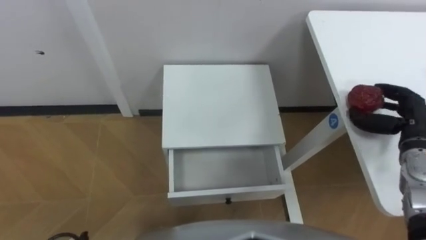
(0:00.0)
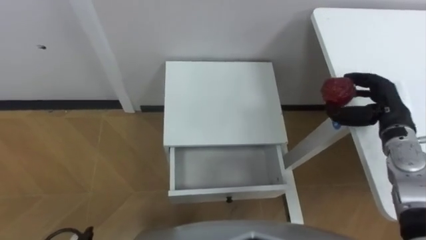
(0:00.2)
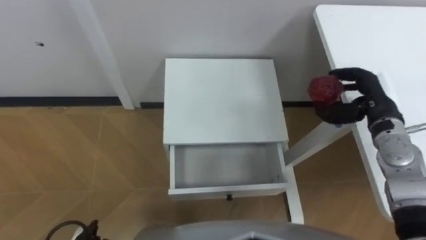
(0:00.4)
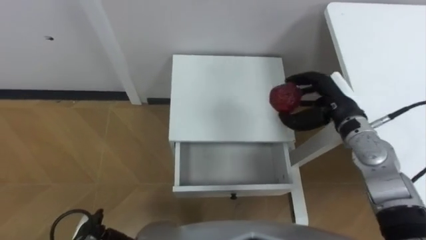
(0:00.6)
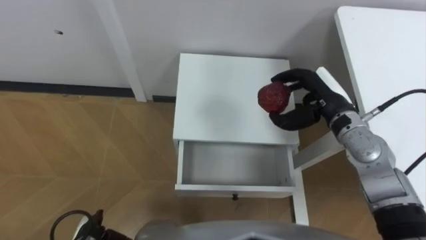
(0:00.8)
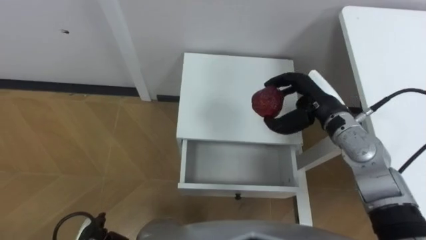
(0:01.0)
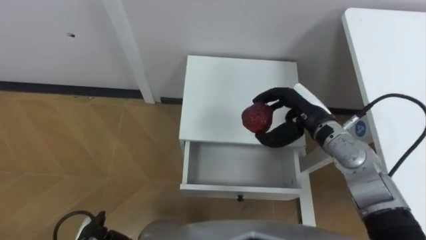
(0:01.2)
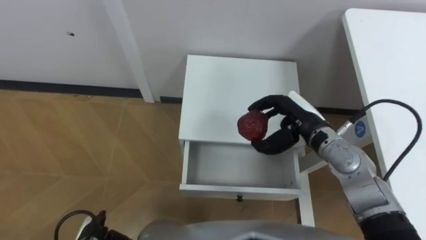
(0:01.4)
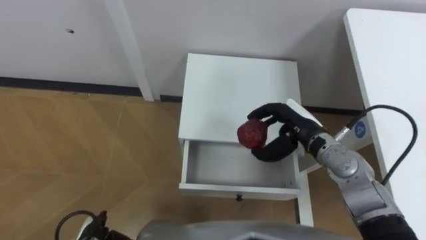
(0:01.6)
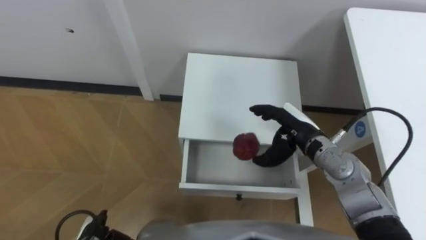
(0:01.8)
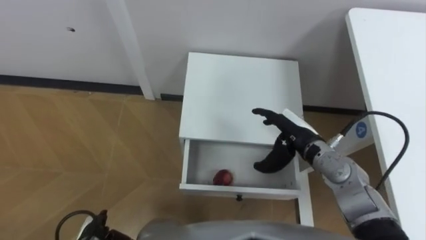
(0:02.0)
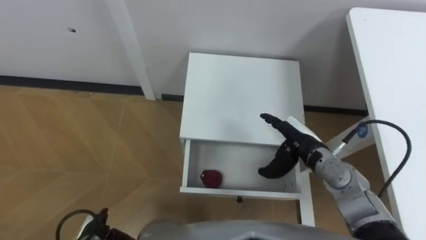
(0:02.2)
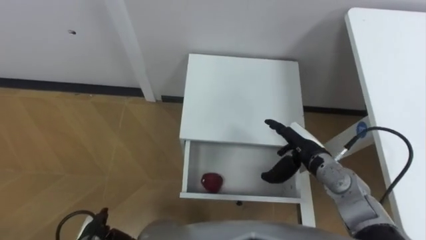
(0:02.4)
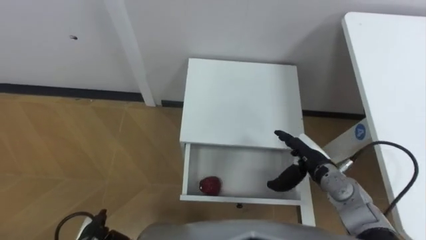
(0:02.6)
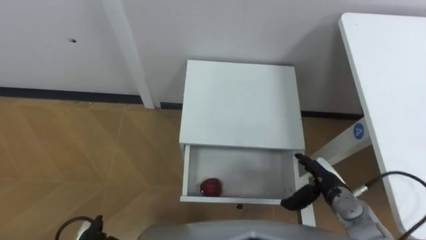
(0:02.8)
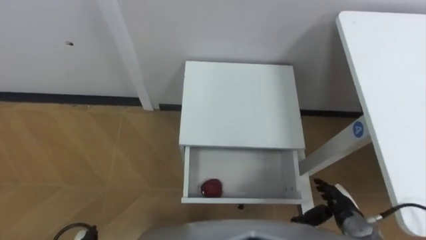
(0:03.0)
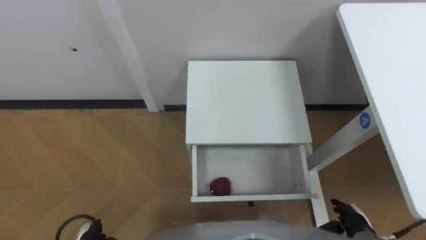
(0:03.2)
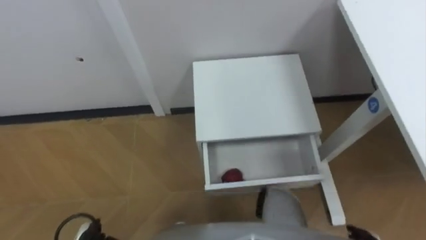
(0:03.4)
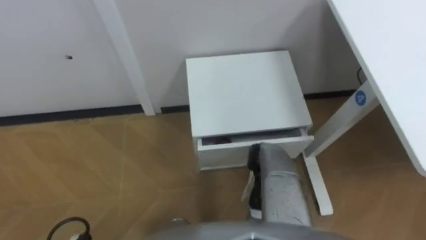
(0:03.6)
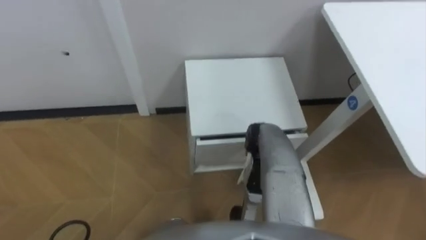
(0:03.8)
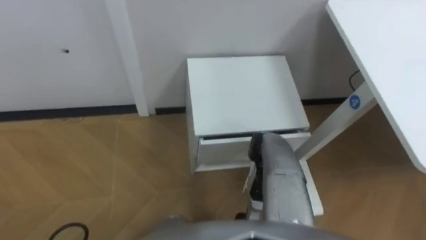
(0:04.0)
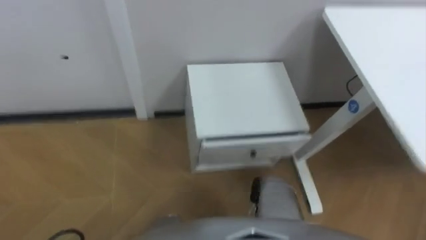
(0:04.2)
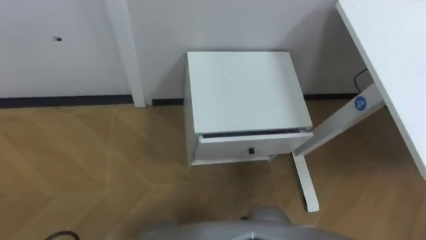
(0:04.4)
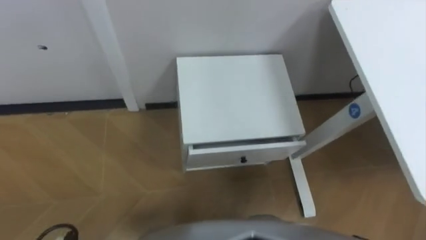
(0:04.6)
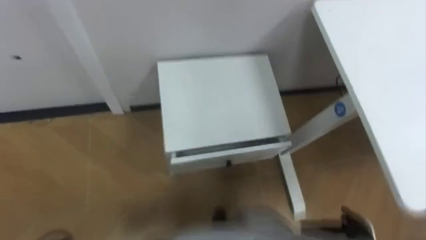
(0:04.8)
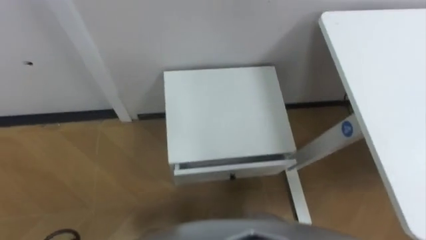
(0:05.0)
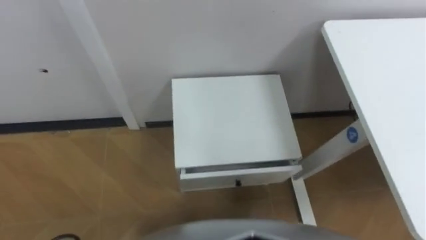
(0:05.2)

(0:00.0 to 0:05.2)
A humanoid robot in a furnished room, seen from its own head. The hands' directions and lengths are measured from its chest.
Task of the whole recording: Pick up the apple from the table, put it in the drawer, and close the drawer with leg.
0:00.0 - 0:01.8: The right hand heads to the left, covering roughly 20 cm.
0:01.8 - 0:03.4: The right hand shifts roughly 30 cm backward, to the right and downward, and opens up.

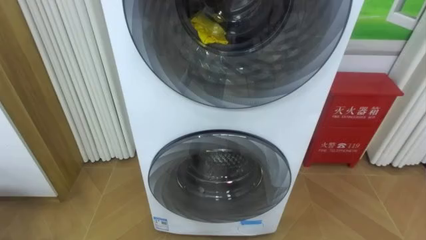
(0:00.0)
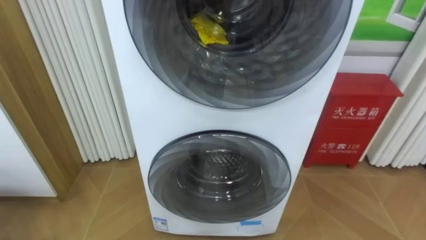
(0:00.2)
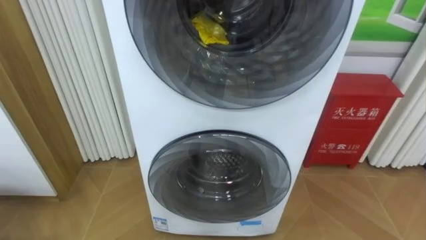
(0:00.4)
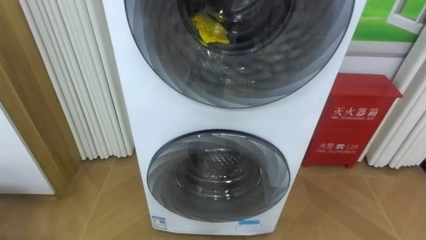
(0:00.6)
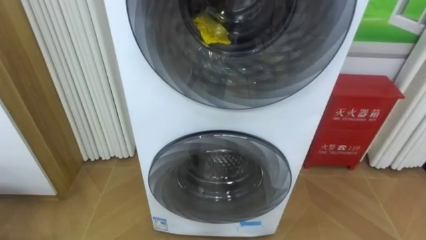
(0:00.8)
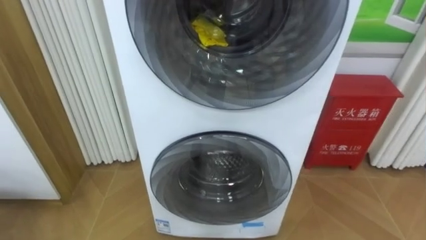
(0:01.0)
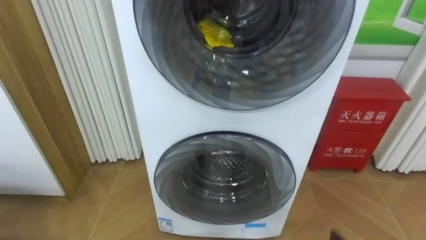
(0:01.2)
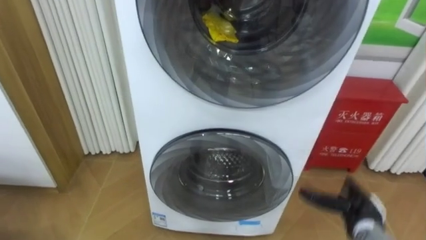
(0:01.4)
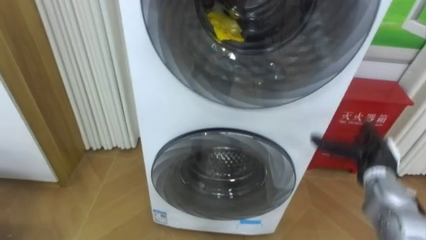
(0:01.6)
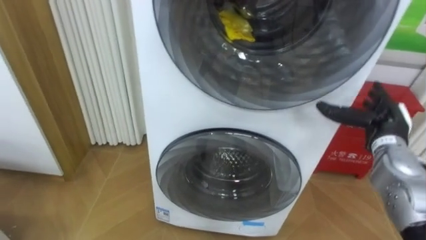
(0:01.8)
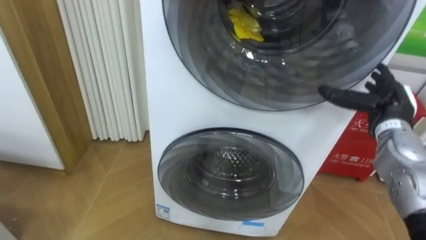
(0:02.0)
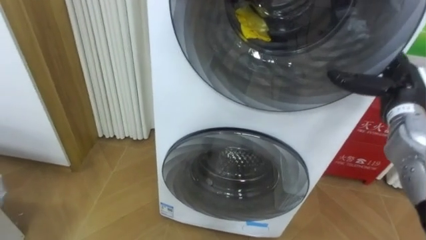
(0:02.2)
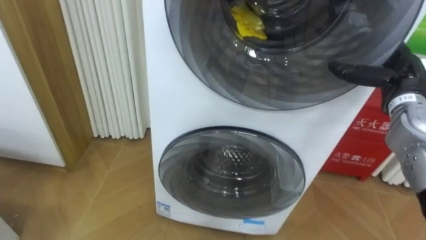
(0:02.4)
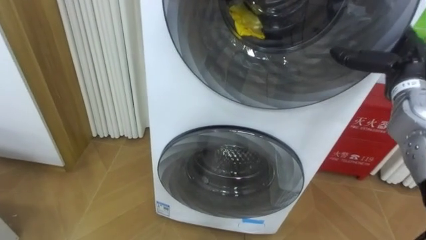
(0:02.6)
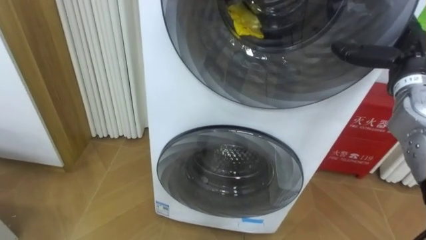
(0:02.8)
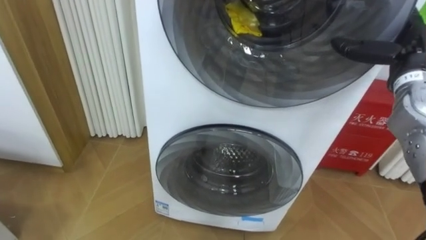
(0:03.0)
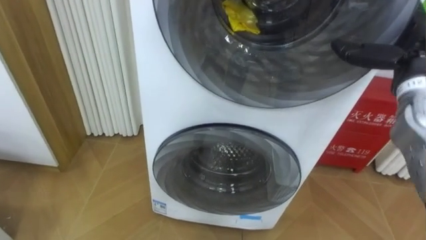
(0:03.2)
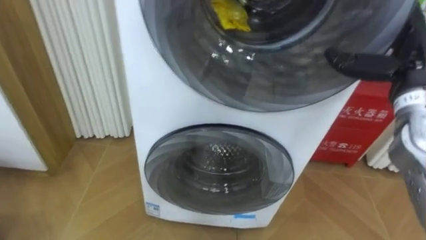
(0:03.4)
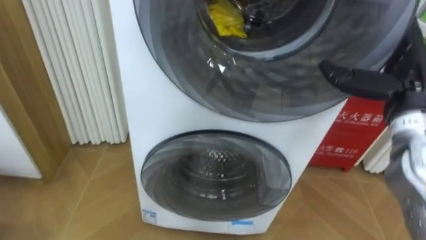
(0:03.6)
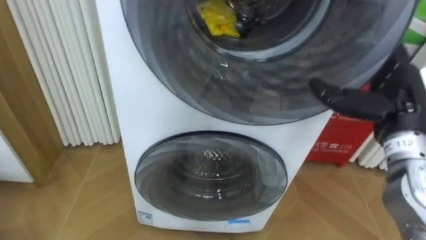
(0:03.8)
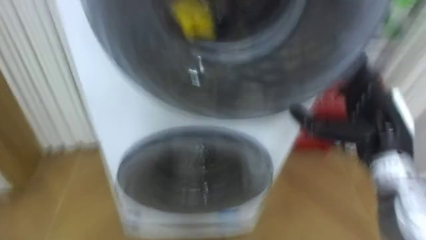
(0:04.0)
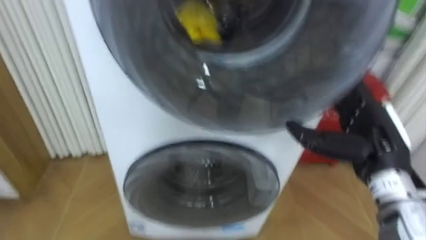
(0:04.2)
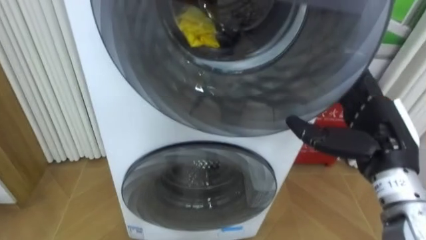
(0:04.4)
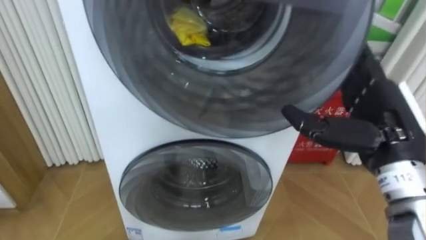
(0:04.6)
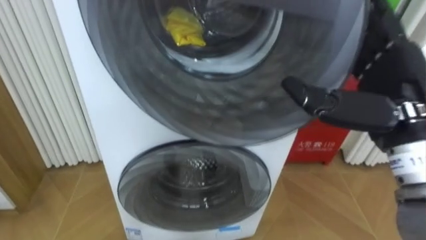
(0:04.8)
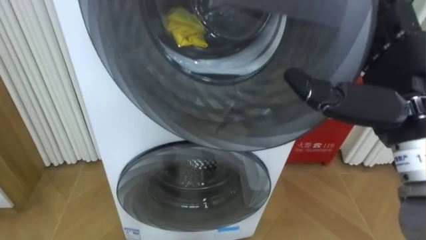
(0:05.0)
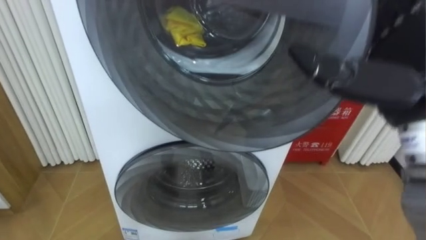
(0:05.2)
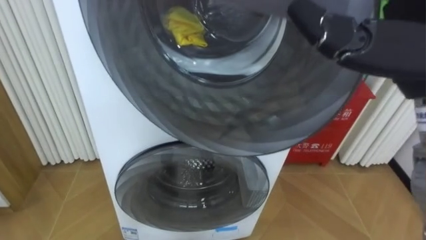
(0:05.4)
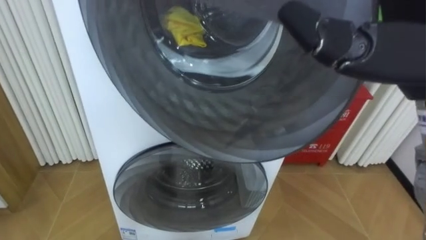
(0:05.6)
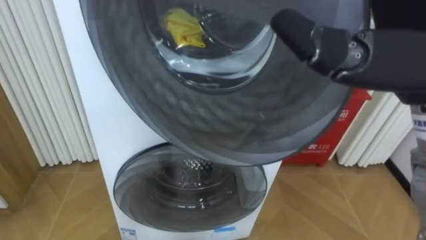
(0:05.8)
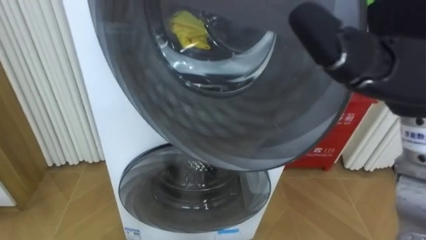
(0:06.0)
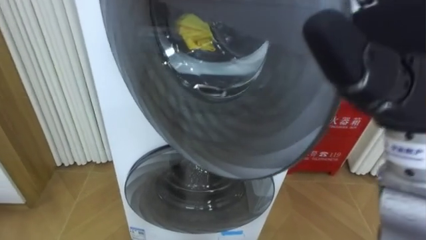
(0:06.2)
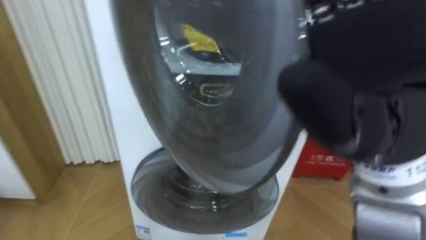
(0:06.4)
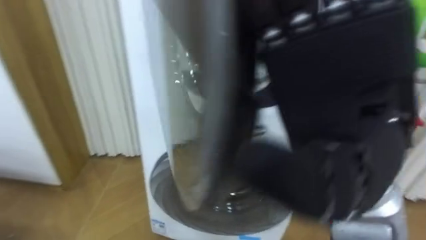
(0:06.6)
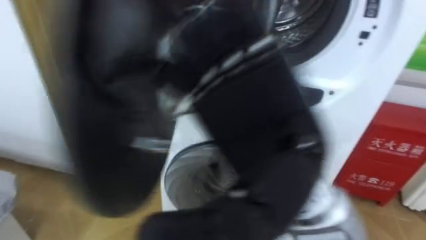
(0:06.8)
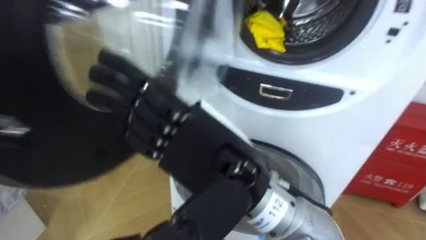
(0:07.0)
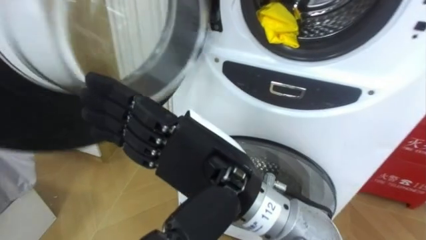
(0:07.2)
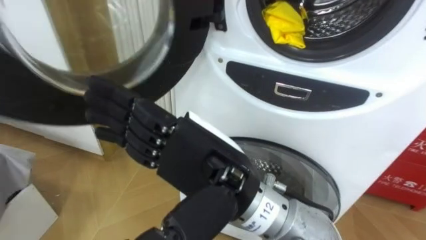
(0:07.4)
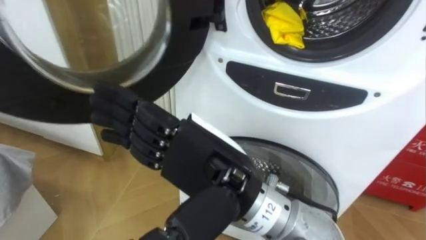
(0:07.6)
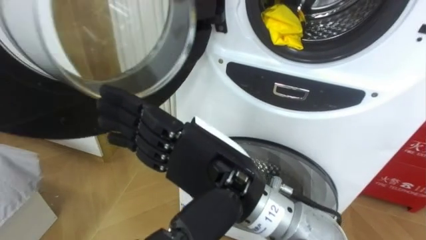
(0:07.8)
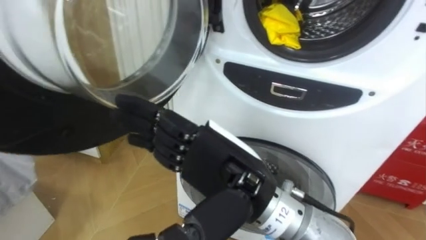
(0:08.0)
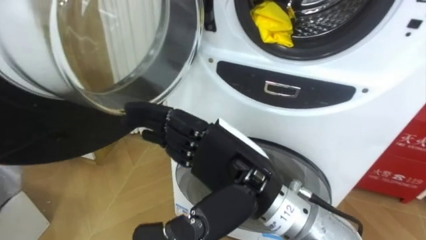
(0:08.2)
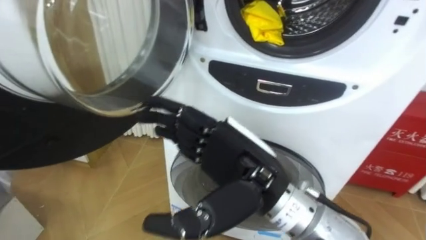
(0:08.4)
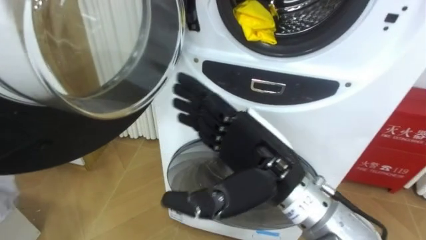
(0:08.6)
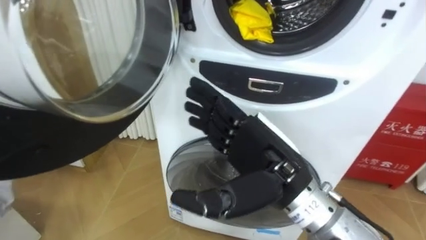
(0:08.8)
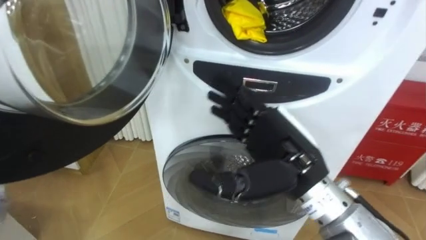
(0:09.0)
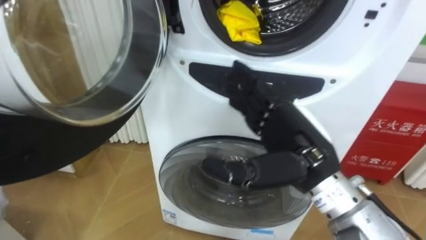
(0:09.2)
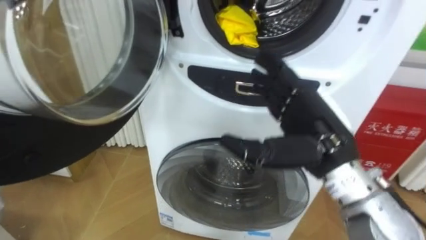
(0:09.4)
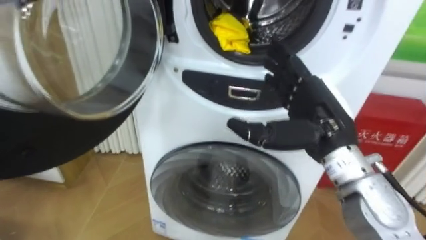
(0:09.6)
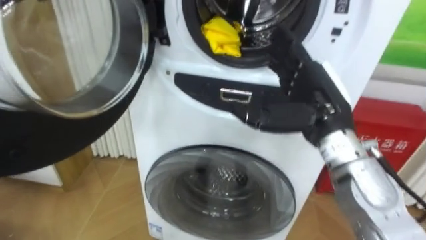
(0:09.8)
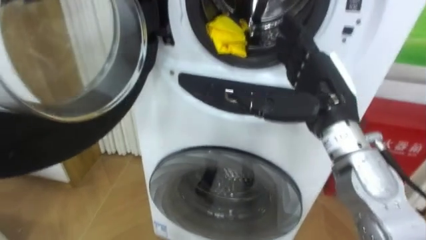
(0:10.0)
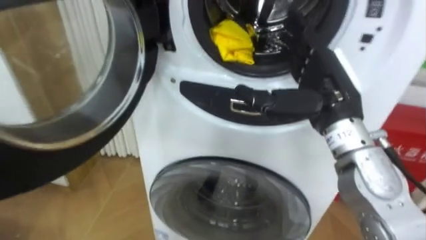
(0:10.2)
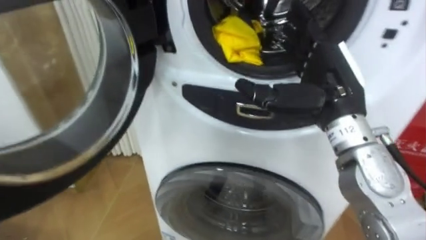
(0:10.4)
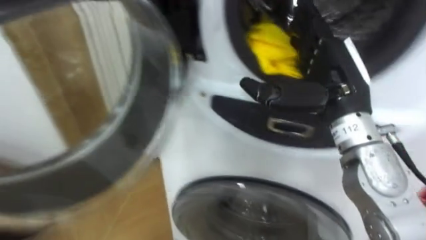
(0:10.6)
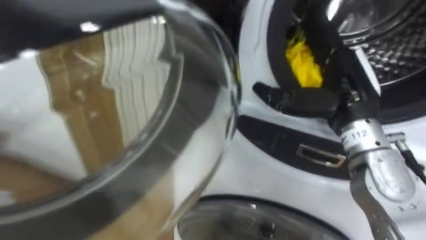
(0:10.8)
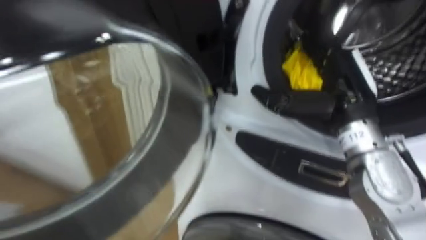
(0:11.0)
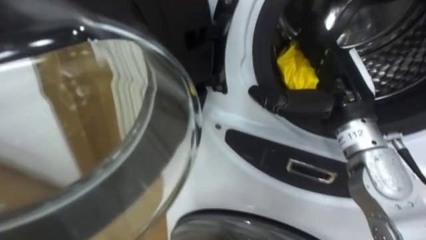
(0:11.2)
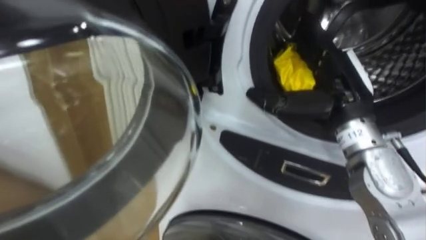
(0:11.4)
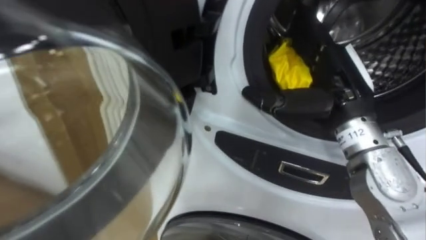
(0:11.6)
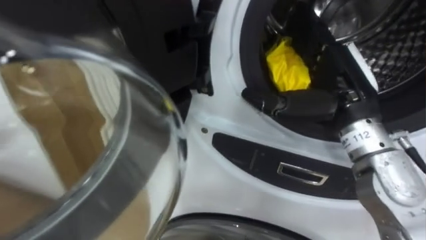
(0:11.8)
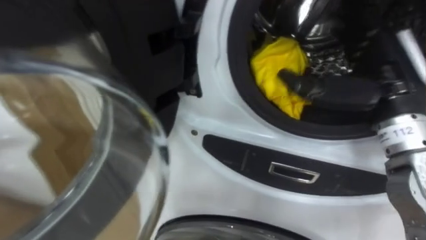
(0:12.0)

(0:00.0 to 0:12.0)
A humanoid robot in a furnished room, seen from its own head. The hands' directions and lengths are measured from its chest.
Task of the whole recording: Open the washing machine door, take out the yellow clothes, place them in the box on the right, and close the washing machine door.
0:01.6 - 0:03.0: The right hand travels upward by roughly 20 cm.
0:03.0 - 0:04.4: The right hand moves backward, to the left and downward, roughly 15 cm.
0:04.4 - 0:06.0: The right hand heads upward, covering some 15 cm.
0:06.0 - 0:07.6: The right hand is displaced to the left and downward by approximately 20 cm.
0:07.6 - 0:09.0: The right hand heads to the right, covering approximately 10 cm.
0:09.0 - 0:10.4: The right hand is displaced forward and to the right by roughly 10 cm.
0:10.4 - 0:12.0: The right hand heads to the right, covering about 5 cm.
